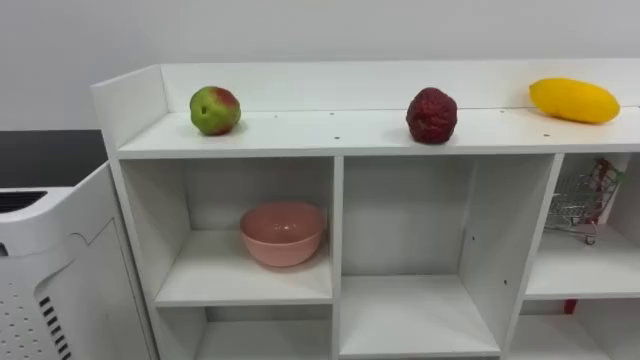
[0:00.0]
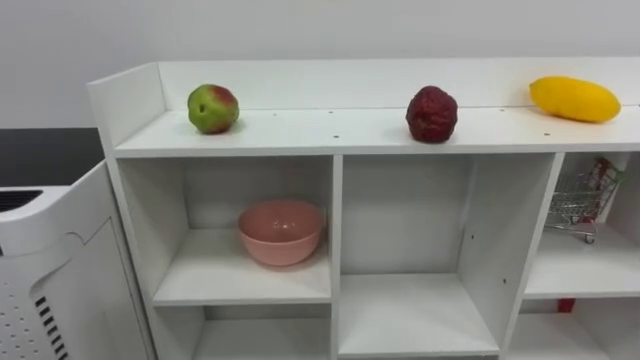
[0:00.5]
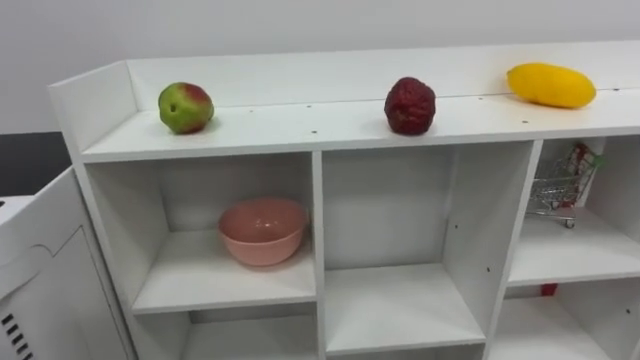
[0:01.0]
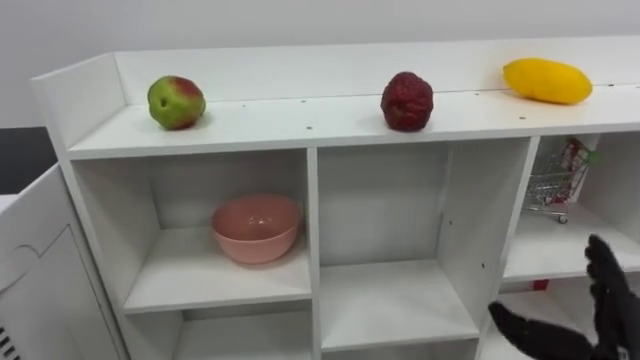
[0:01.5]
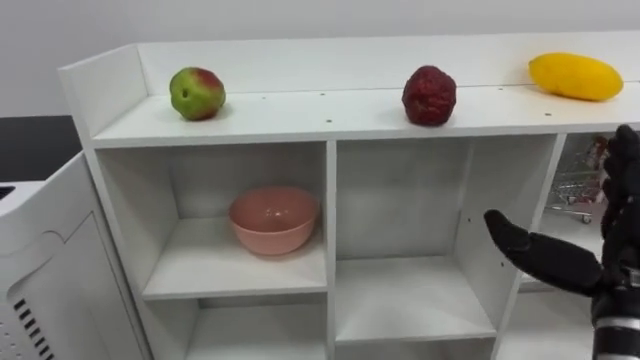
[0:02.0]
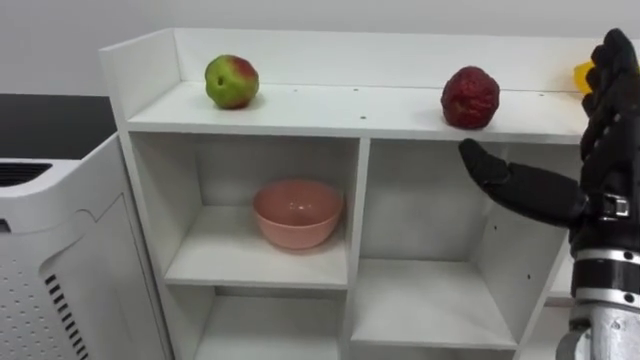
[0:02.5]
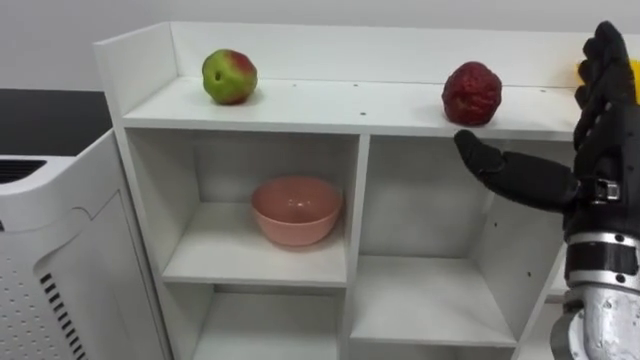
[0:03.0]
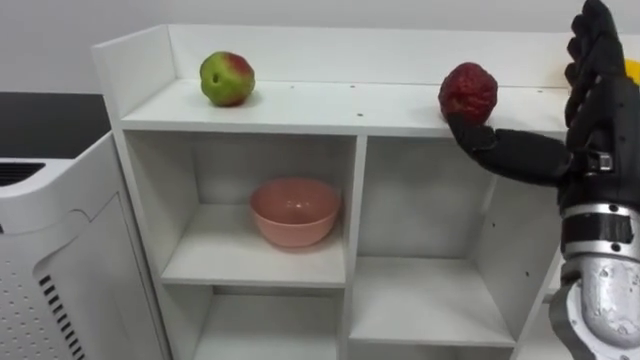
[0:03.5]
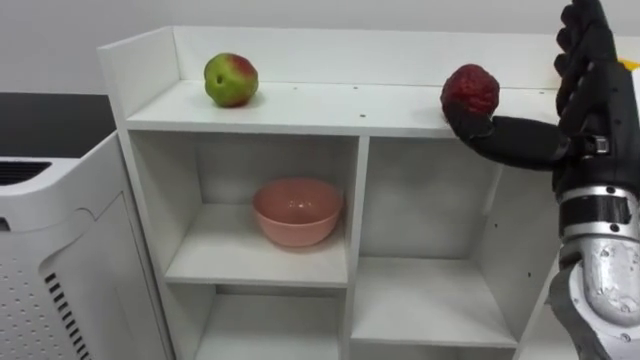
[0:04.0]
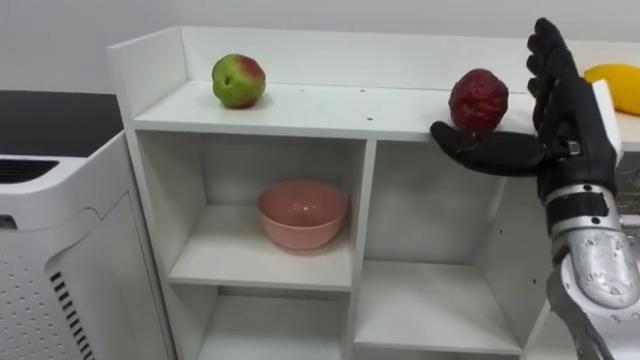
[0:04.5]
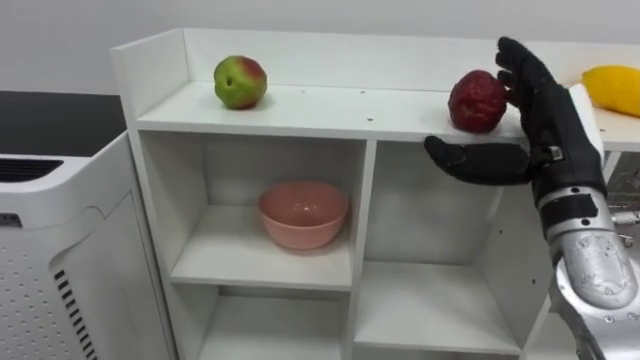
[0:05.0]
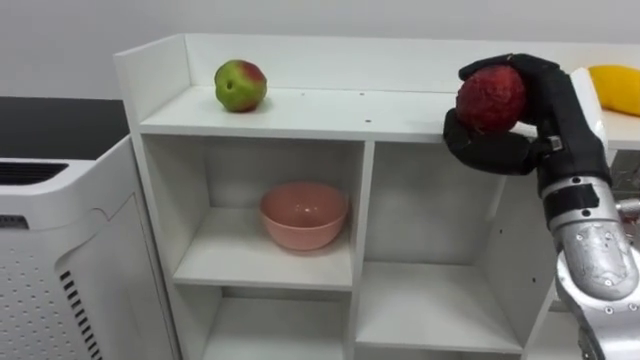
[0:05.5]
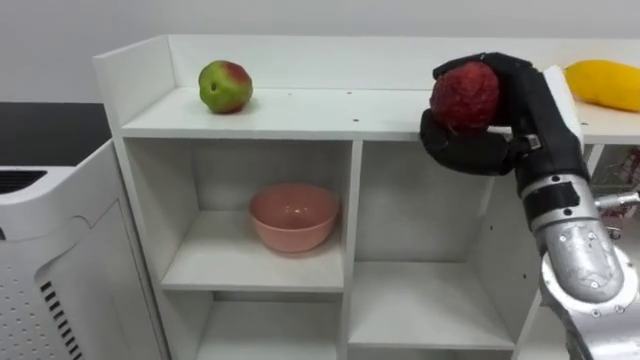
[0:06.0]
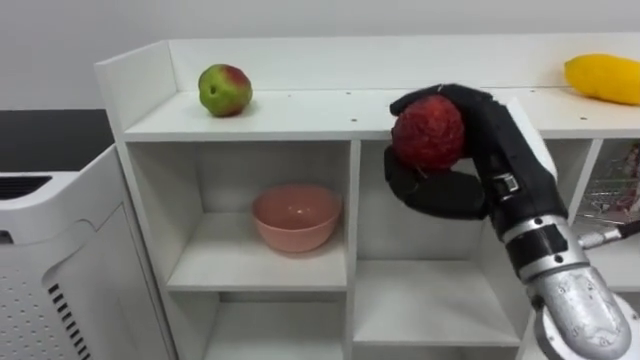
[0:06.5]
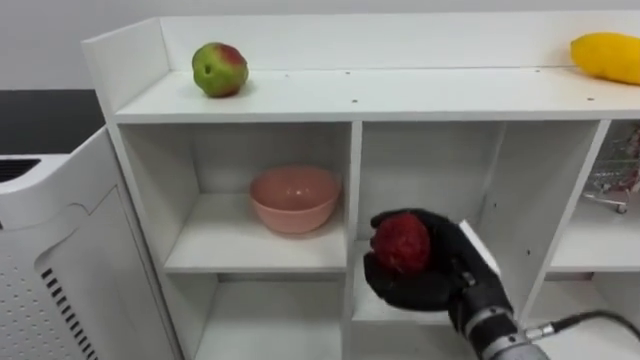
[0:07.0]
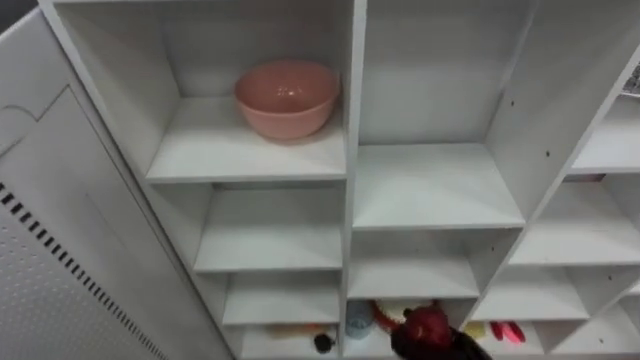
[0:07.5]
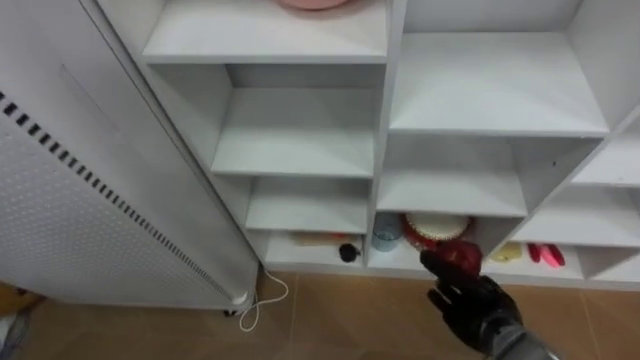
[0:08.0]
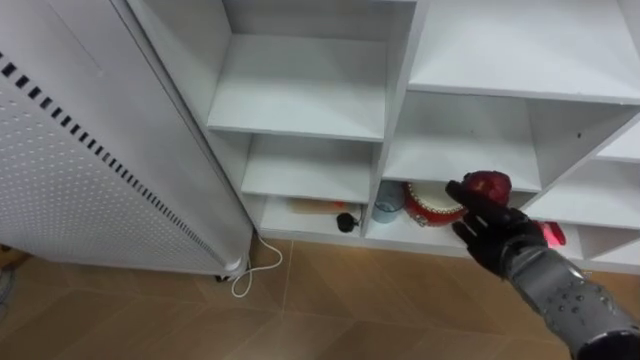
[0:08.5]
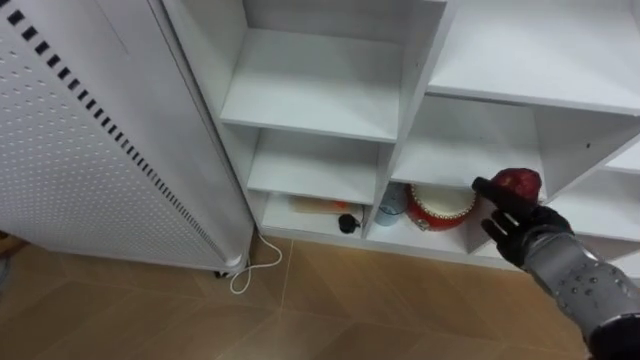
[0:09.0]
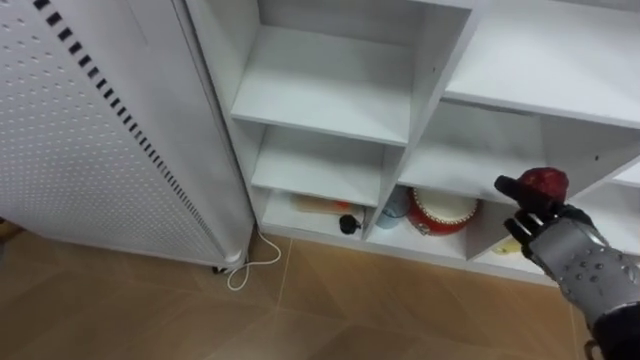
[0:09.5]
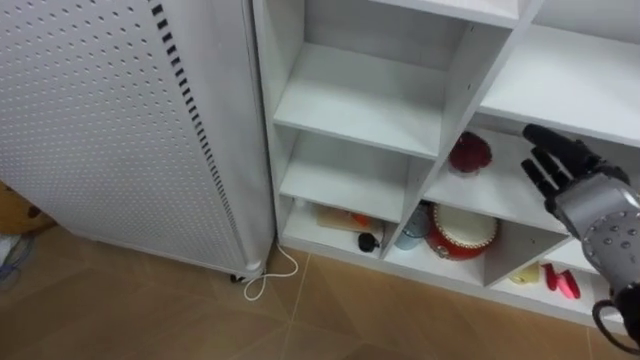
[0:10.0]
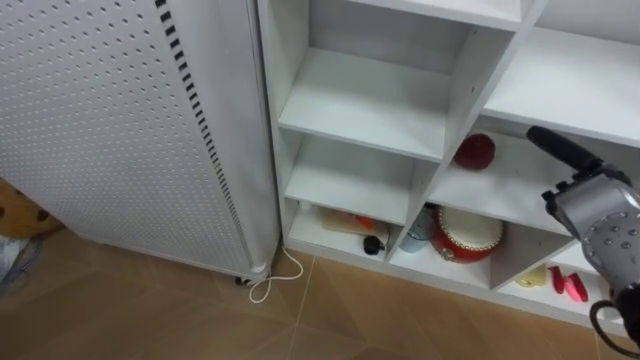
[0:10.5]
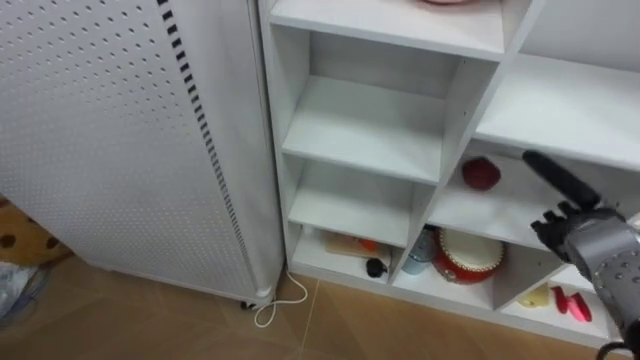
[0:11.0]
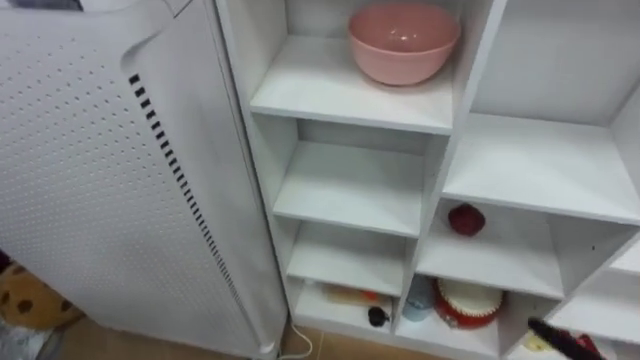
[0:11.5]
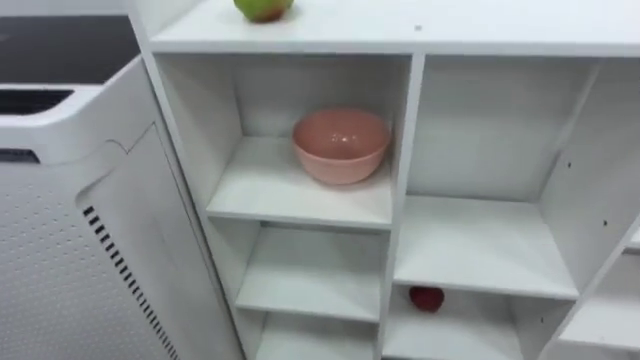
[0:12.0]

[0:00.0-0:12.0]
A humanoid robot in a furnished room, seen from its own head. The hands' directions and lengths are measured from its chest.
Task of the whole recording: Put the apple in the cell in the second column from the left and the second row from the top.
0:02.0 to 0:04.0: The right hand heads upward and forward, covering roughly 10 cm.
0:04.0 to 0:06.0: The right hand closes up.
0:08.0 to 0:10.0: The right hand is displaced upward and to the right by some 20 cm, and opens its fingers.

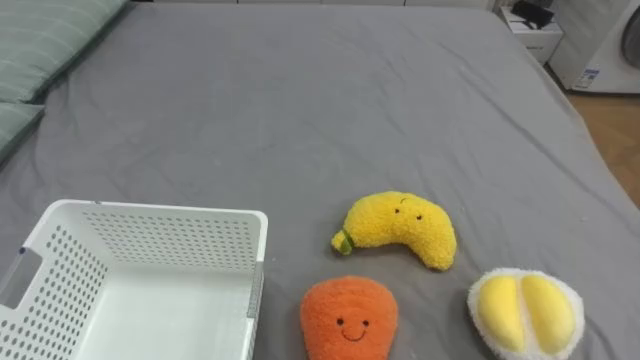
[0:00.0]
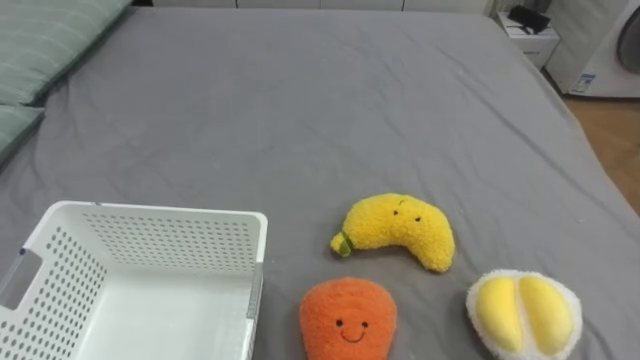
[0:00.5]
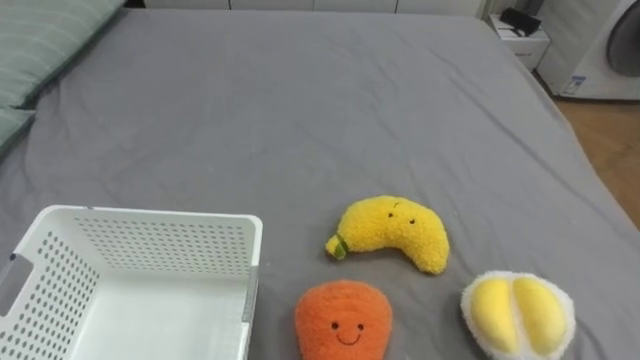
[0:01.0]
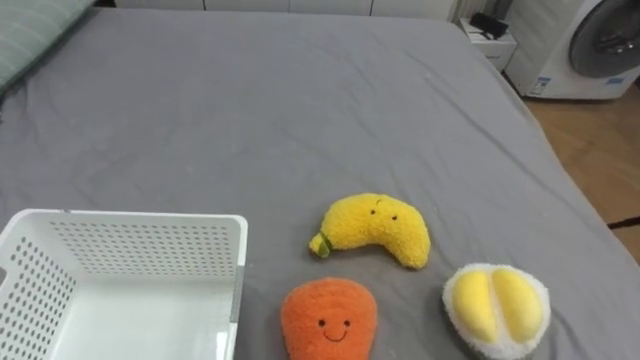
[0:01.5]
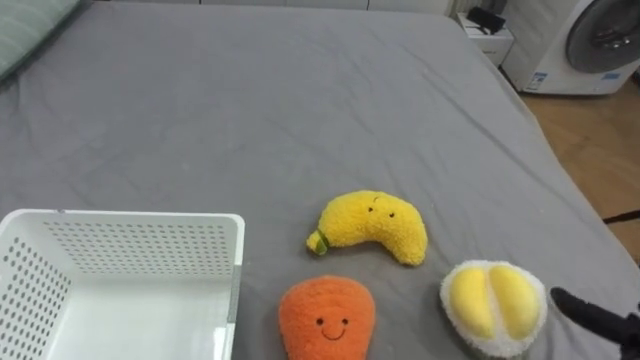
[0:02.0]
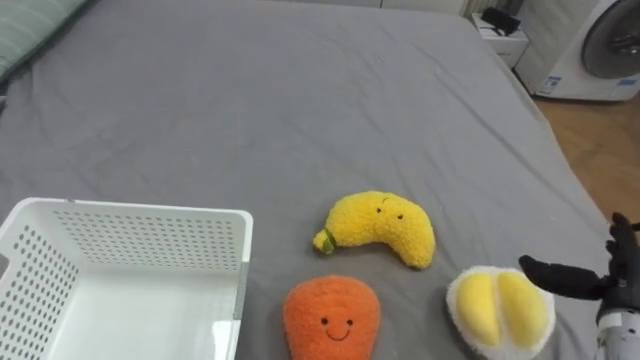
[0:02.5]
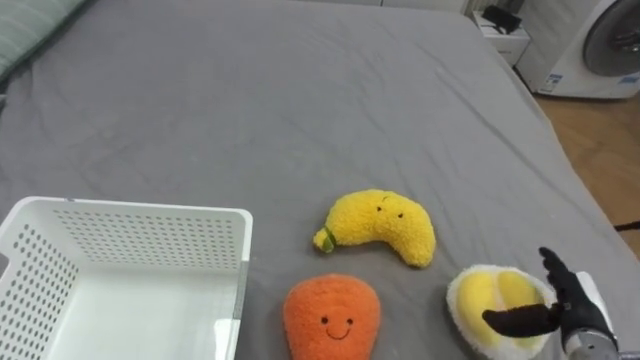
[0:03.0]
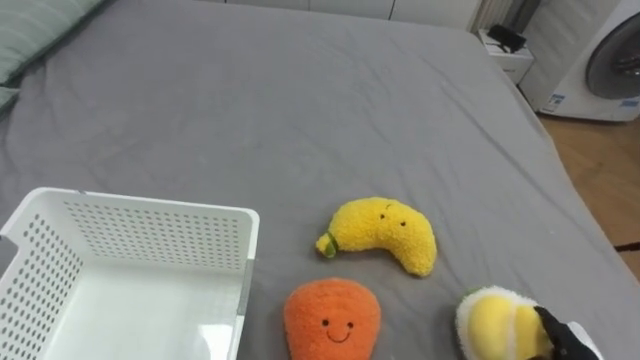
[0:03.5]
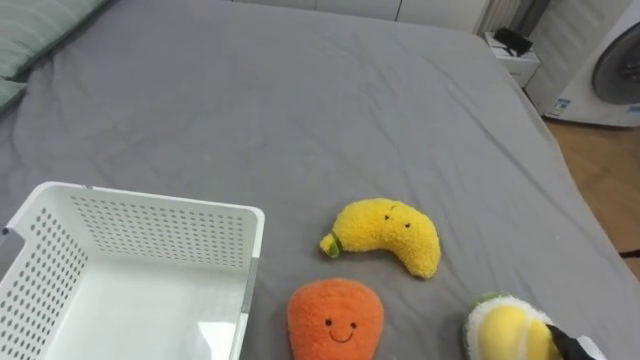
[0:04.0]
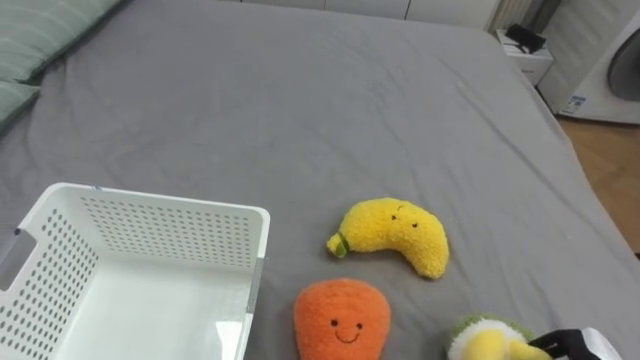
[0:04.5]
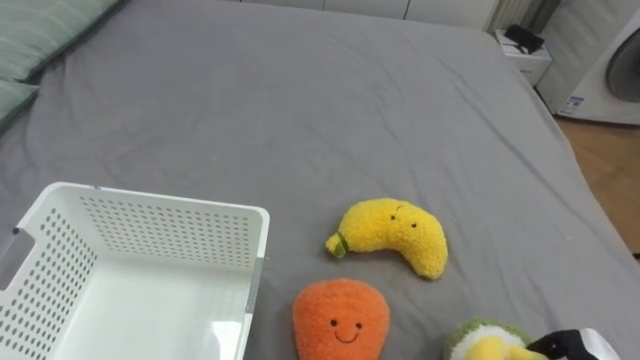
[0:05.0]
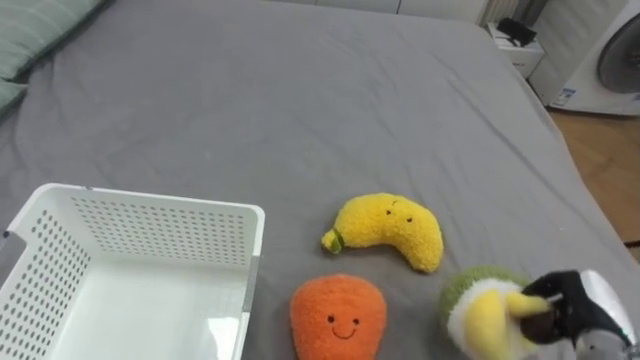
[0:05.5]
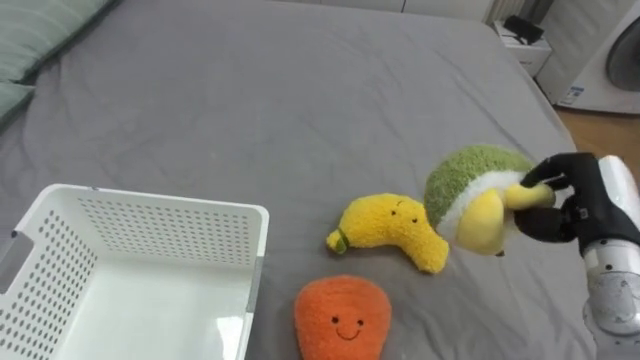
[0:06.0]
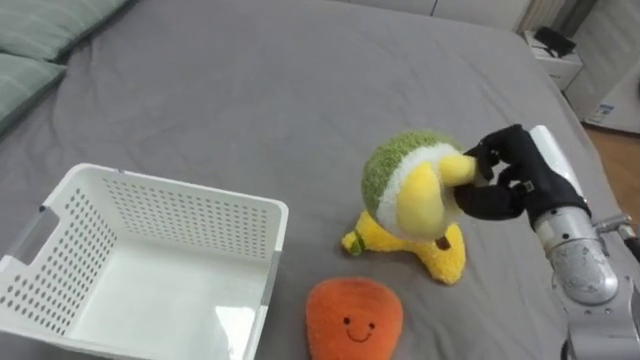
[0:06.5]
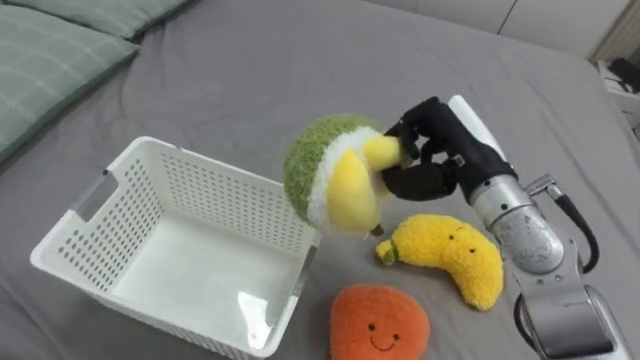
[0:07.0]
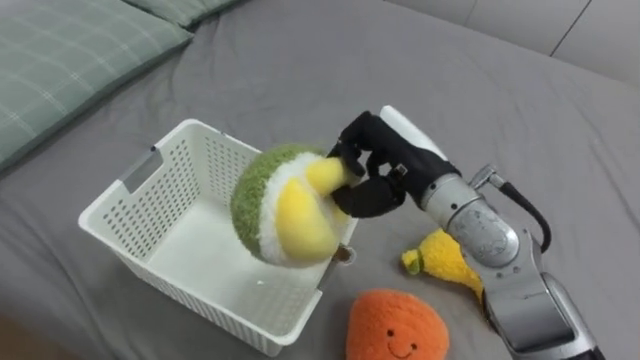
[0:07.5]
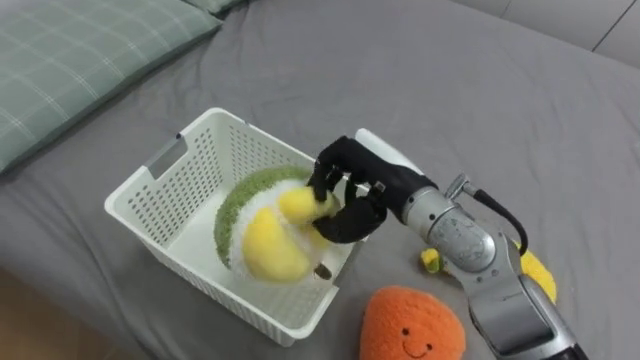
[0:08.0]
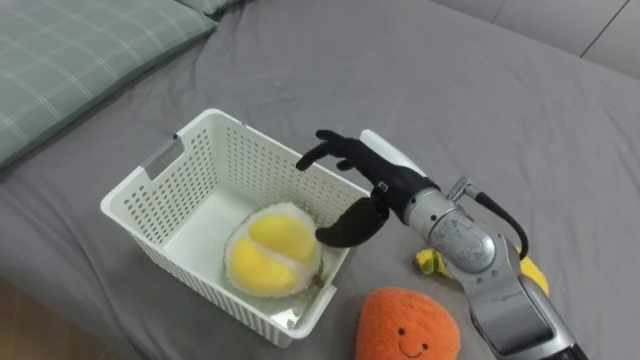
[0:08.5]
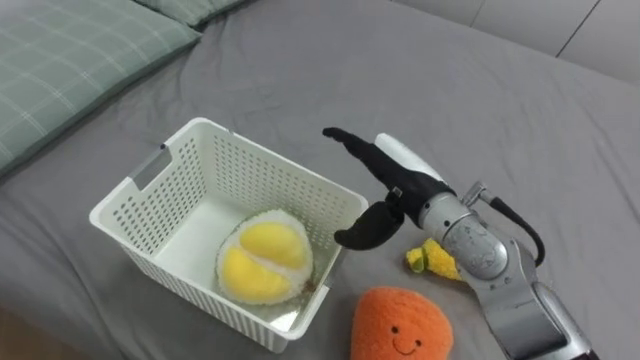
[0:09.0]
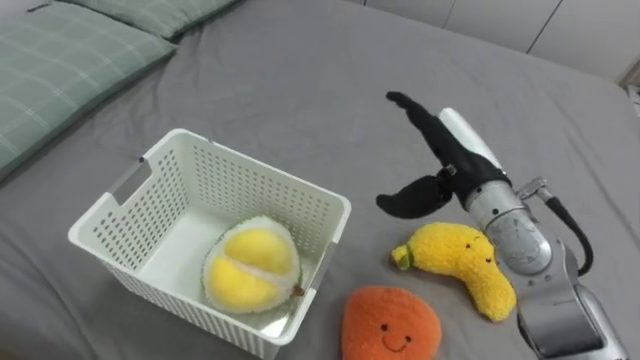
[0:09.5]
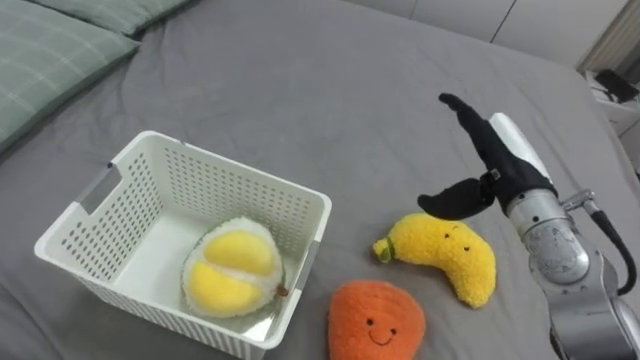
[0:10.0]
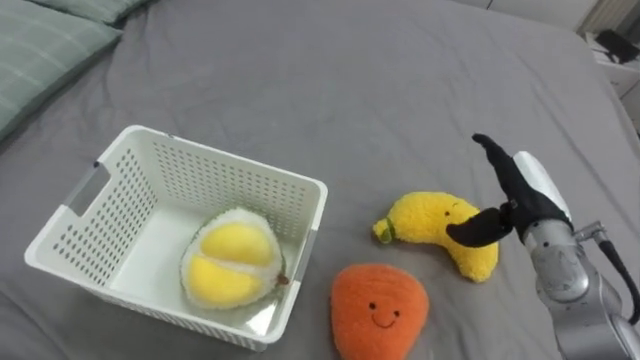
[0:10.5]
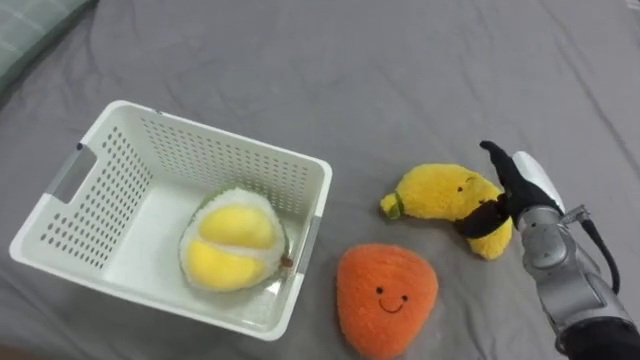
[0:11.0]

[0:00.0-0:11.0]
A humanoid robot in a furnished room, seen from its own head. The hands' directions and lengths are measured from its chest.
Task of the whole recording: Put the toys on the bed into the basket on the left.
0:05.5 to 0:07.5: The right hand is displaced to the left, upward and forward by about 35 cm.
0:07.5 to 0:09.0: The right hand opens up.
0:09.0 to 0:11.0: The right hand shifts about 20 cm to the right and downward.
